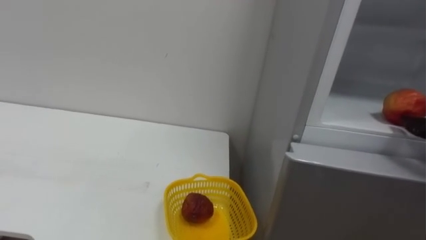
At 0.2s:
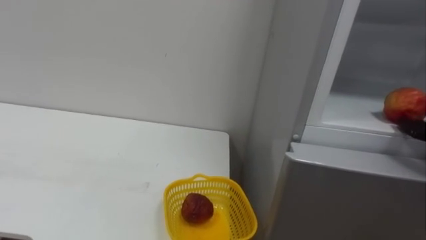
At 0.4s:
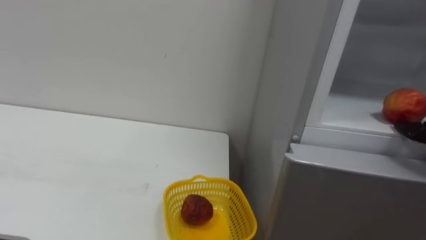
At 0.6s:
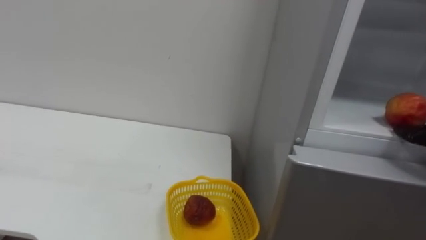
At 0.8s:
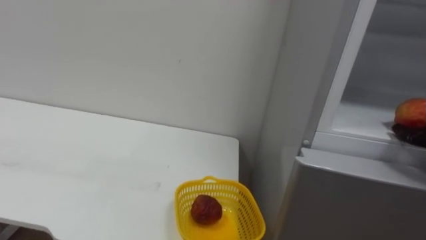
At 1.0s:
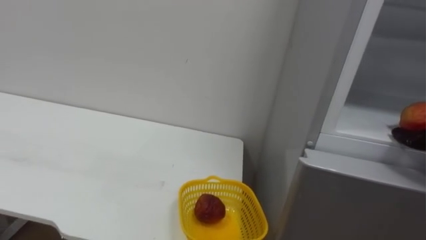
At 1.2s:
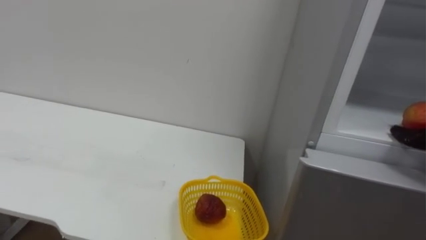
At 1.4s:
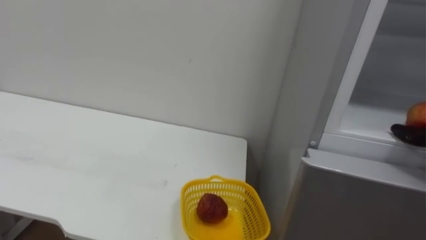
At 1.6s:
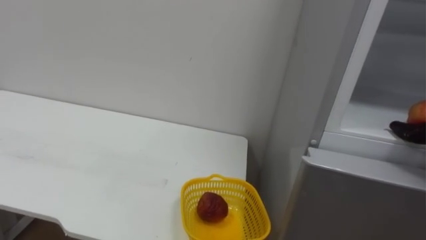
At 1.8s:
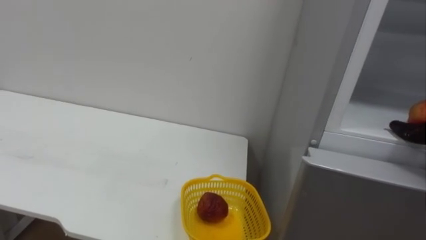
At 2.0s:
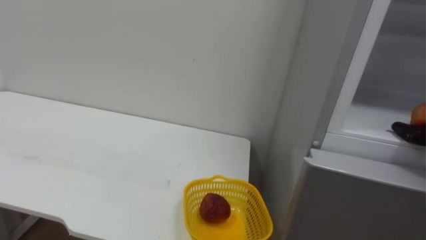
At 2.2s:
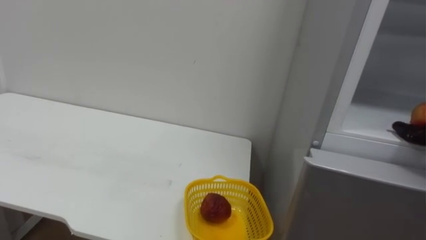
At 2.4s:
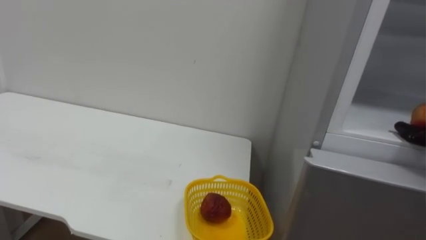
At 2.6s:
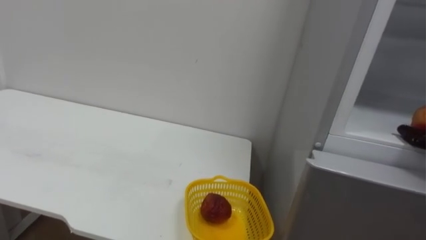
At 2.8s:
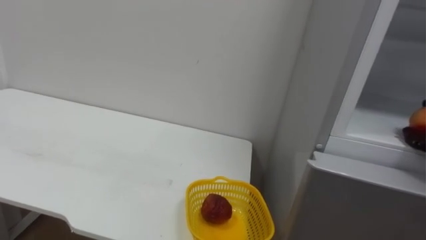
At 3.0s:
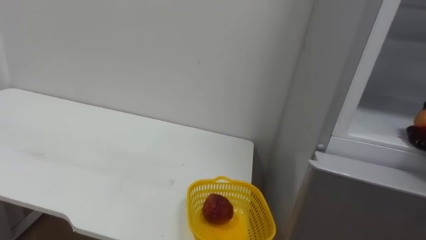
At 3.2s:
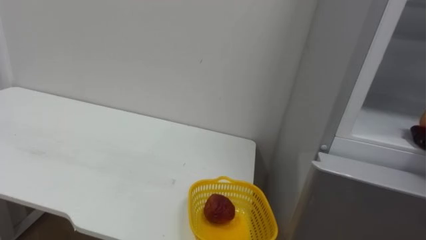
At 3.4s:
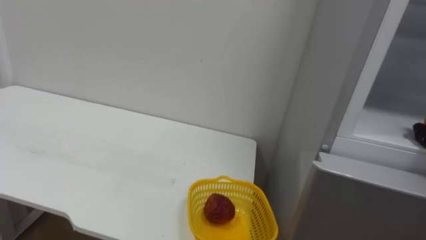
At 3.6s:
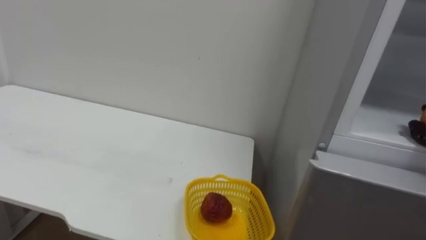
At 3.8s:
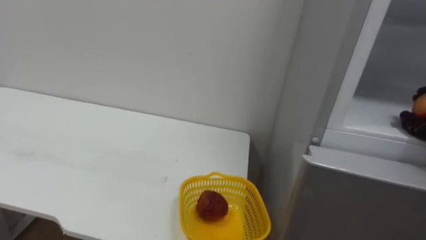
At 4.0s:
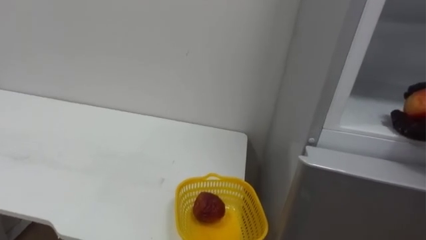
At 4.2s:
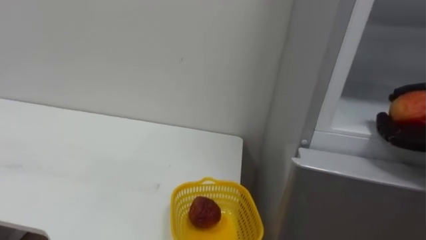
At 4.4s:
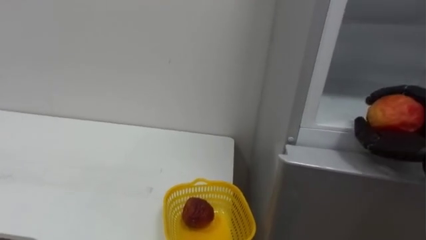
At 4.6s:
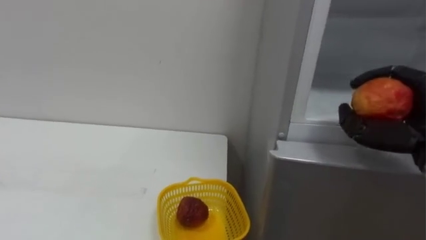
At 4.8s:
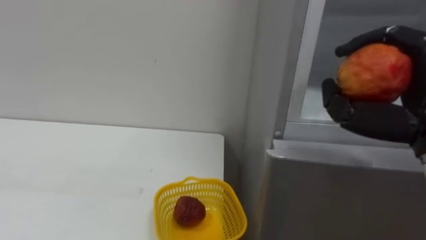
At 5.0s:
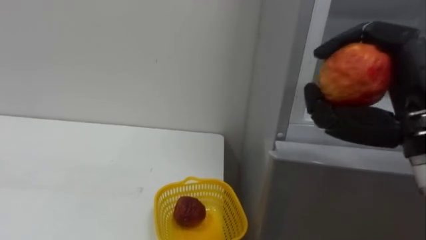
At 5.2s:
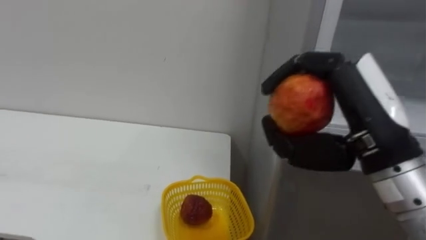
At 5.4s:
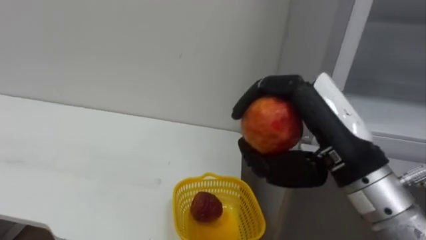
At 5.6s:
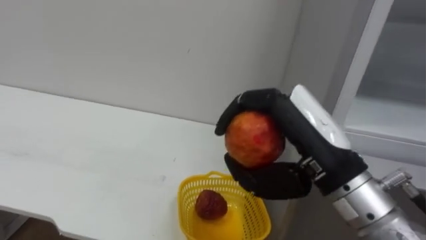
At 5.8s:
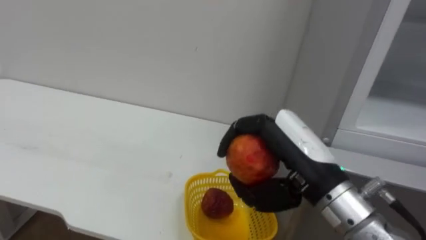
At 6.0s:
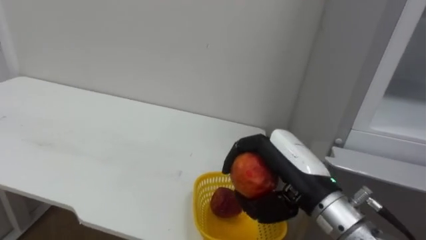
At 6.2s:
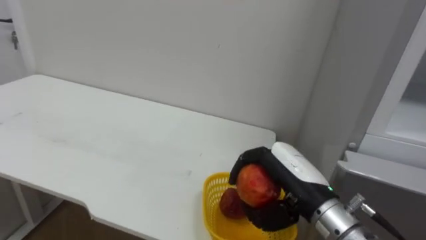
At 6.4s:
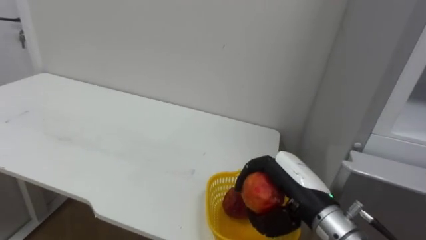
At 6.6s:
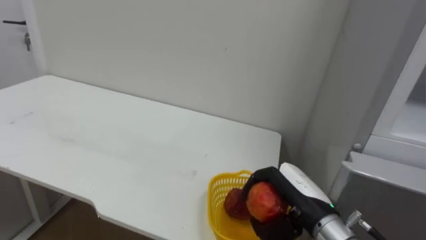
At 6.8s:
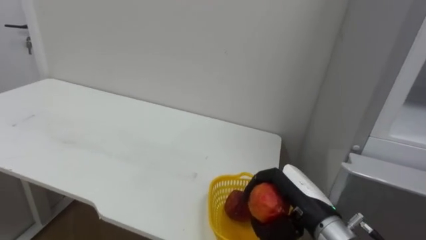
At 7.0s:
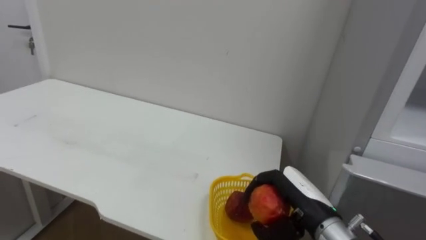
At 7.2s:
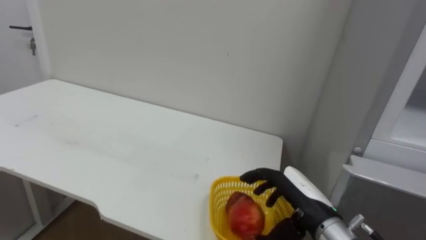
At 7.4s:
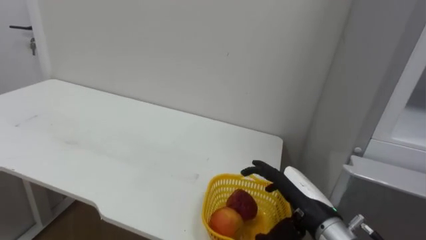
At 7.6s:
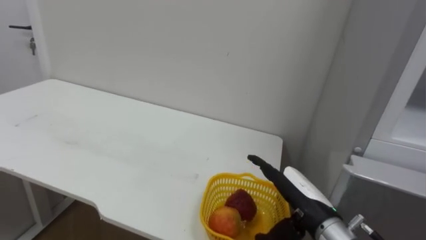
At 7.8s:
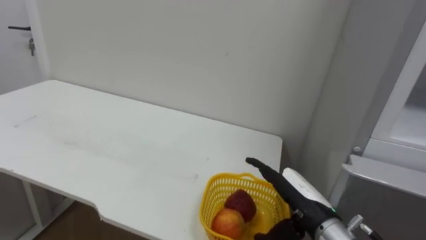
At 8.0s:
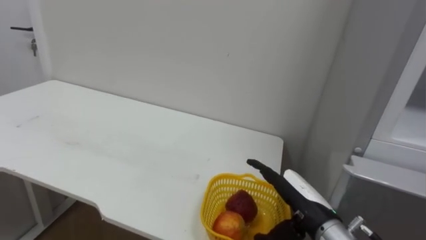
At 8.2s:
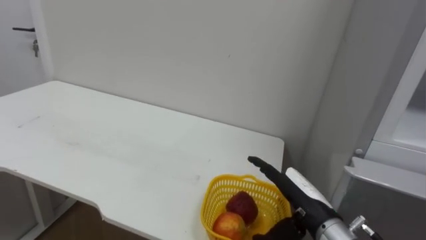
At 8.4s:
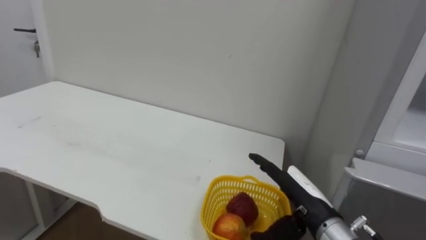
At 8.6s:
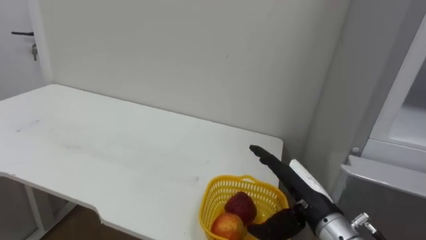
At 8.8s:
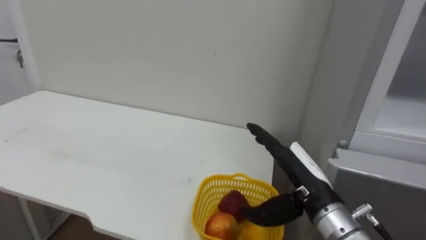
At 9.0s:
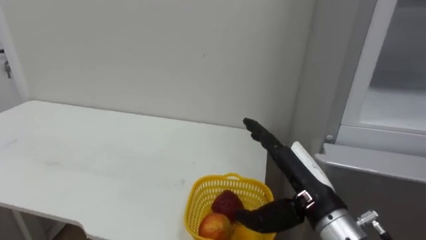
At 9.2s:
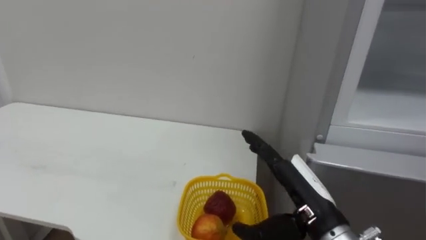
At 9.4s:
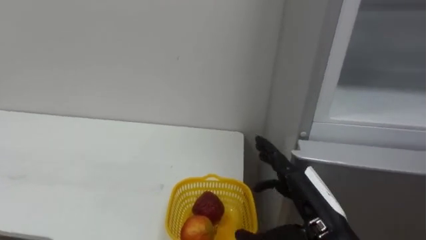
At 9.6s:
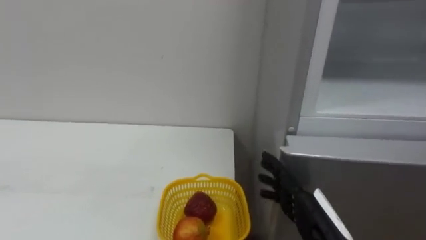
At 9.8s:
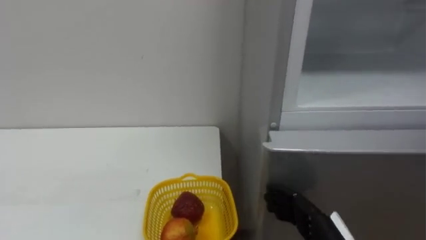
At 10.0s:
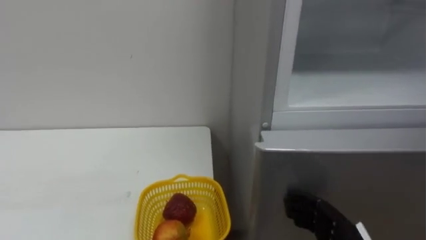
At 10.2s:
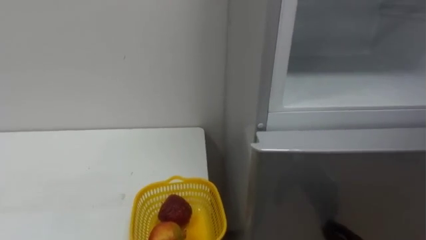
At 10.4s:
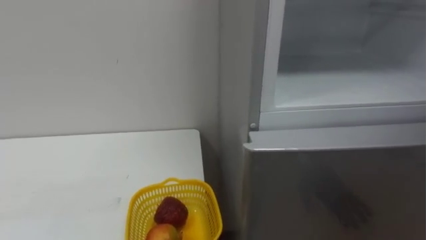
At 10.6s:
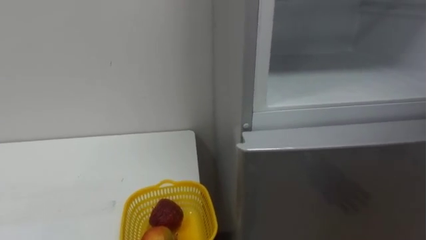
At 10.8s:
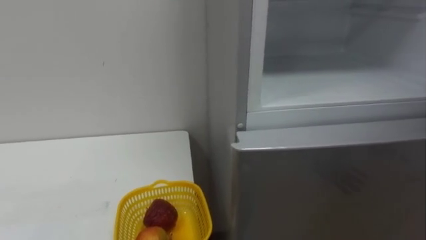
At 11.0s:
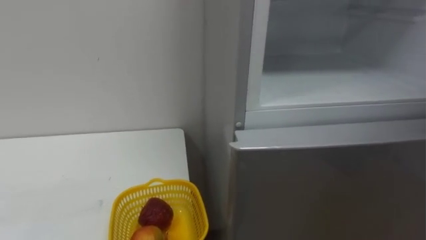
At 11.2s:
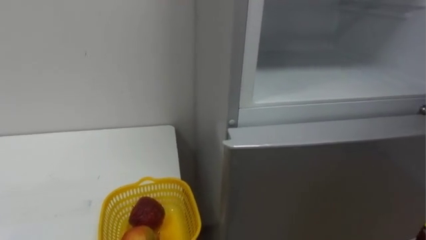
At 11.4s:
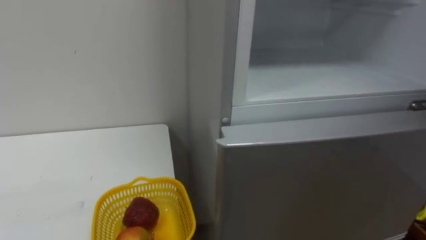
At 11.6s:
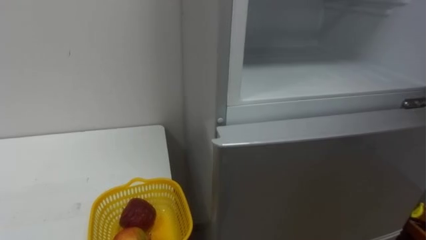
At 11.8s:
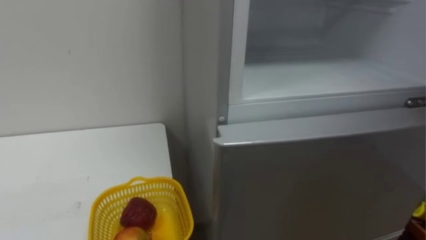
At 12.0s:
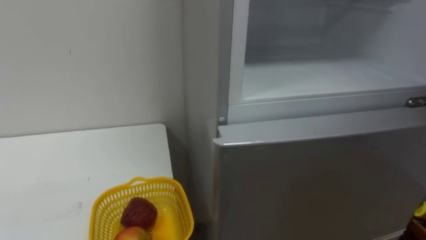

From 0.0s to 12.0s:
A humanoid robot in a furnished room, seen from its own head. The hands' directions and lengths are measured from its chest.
Task of the whole recording: Open the refrigerator door, take out the apple and the pomegranate, place them in the fruit basket on the left, and close the refrigerator door.
From 6.0s to 7.6s: The right hand moves downward, roughly 10 cm, and opens its fingers.
From 7.6s to 9.0s: The right hand moves upward, about 5 cm.

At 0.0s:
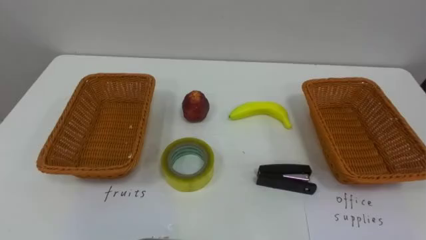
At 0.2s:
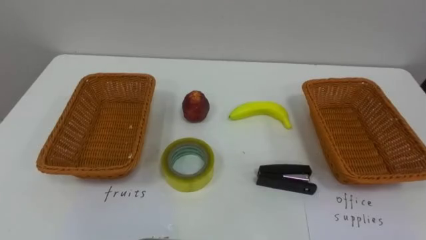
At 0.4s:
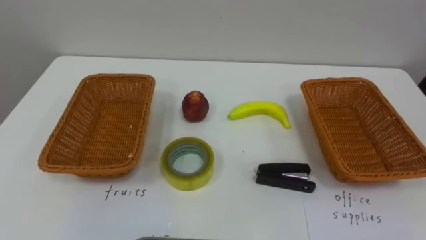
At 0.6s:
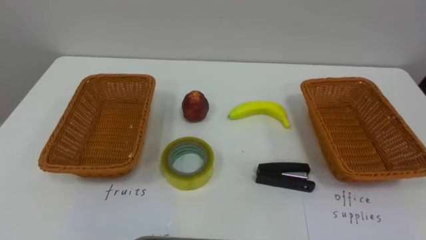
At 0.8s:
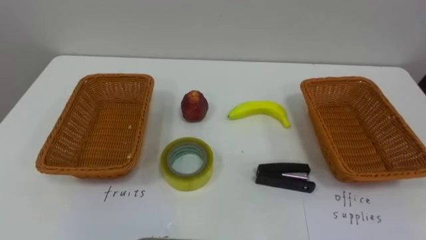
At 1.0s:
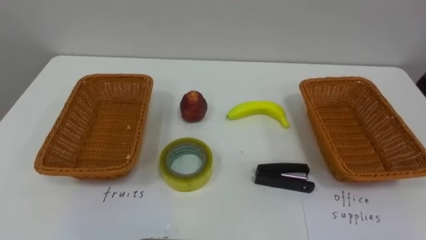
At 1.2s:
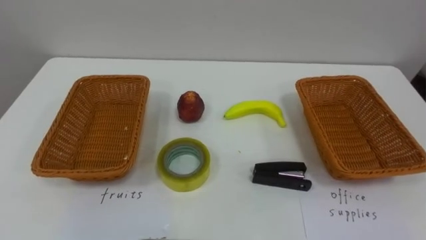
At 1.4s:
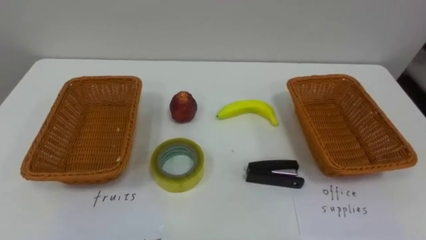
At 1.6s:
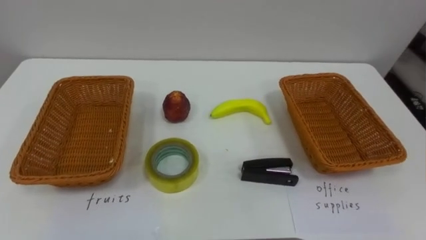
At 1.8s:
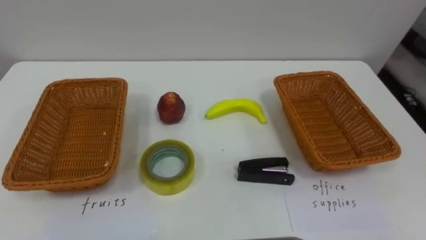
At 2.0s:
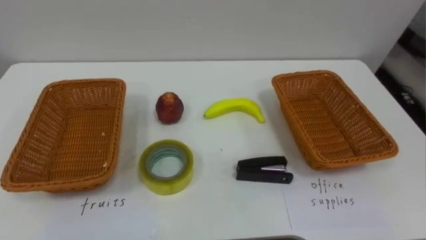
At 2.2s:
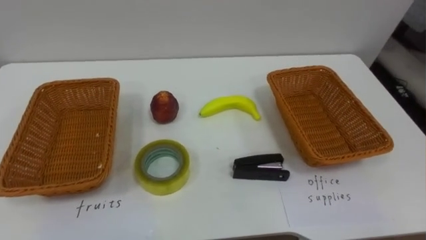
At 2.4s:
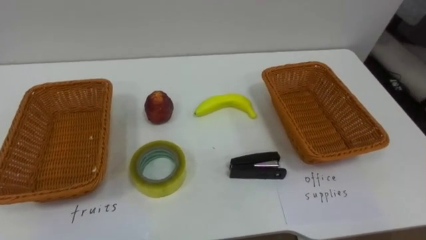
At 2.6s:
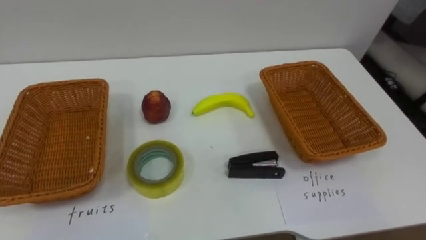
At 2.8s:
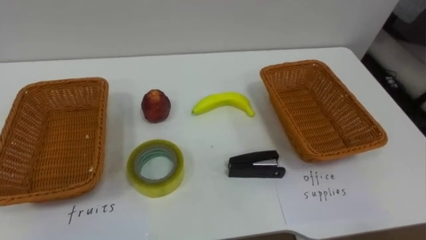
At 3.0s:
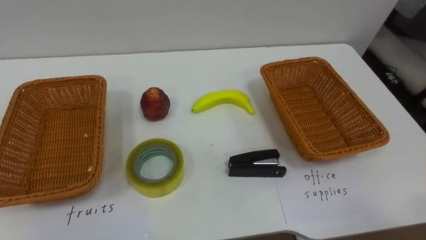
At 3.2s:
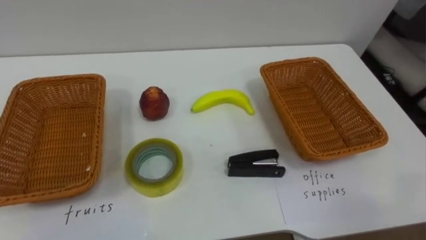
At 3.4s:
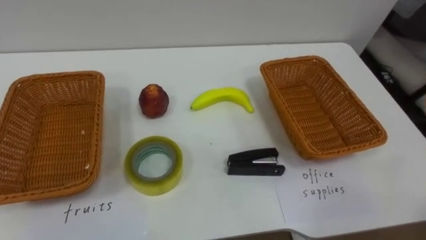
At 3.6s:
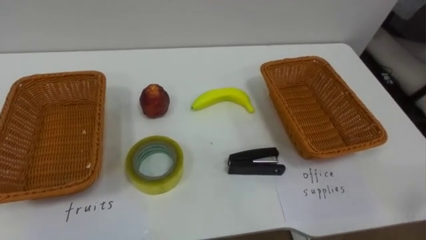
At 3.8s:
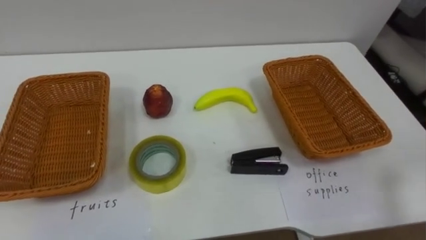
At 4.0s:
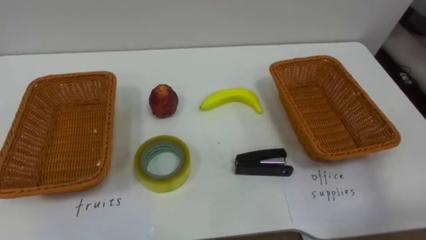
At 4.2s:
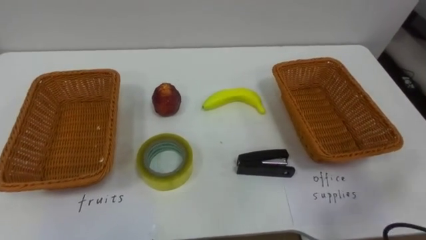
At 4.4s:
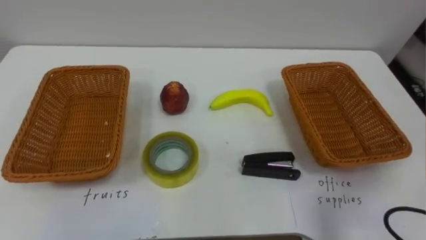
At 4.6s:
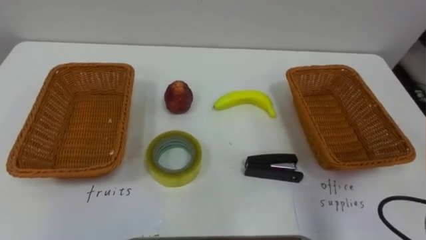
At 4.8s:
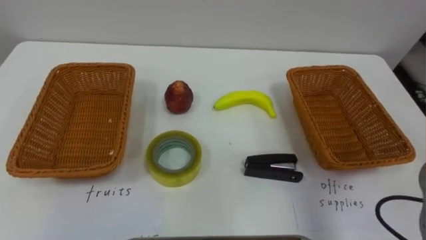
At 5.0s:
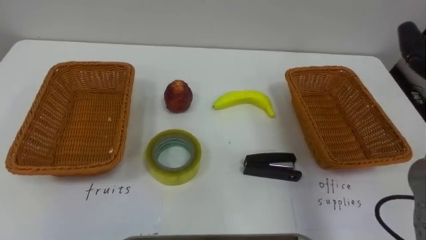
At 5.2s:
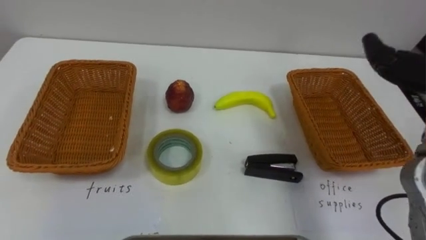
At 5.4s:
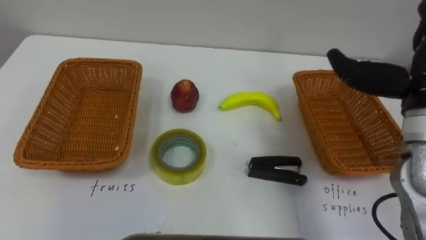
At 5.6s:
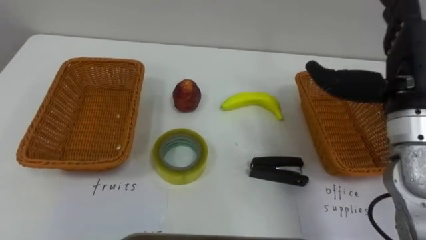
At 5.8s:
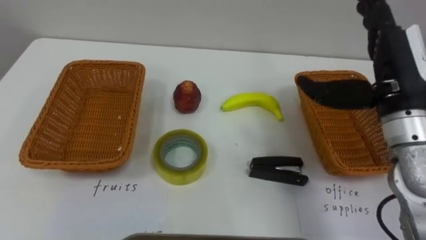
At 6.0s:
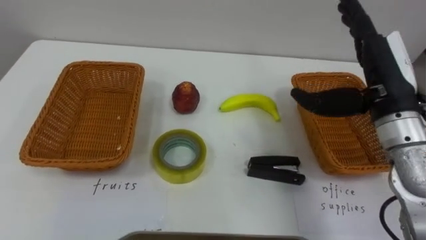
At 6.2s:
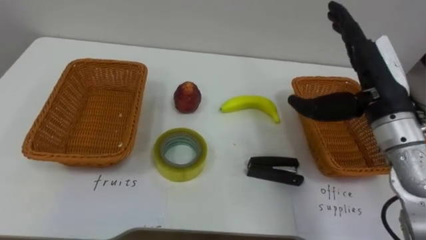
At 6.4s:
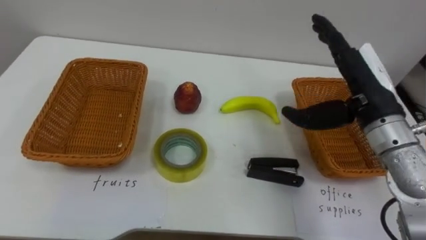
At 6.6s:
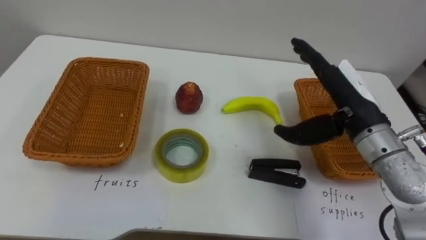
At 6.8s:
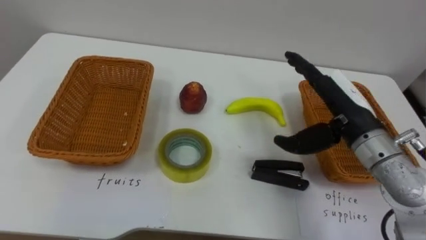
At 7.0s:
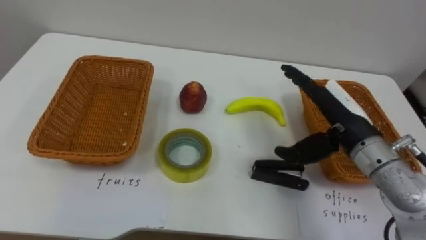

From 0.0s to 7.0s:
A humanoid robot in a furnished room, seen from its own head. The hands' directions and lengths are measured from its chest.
Task of the whole recording: Separate the items on the table and place them into the two baskets.
From 5.6s to 7.0s: The right hand heads downward and to the left, covering approximately 10 cm.
